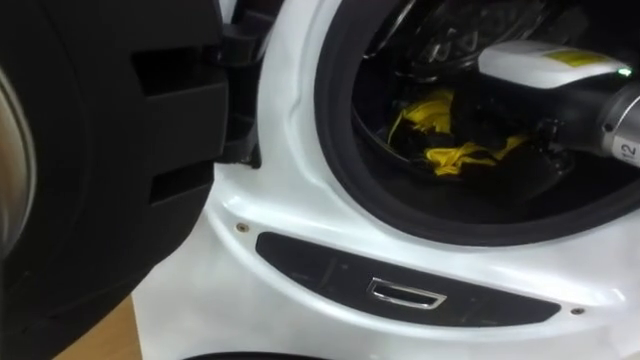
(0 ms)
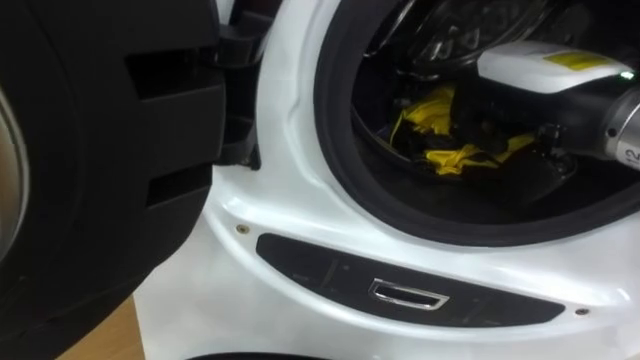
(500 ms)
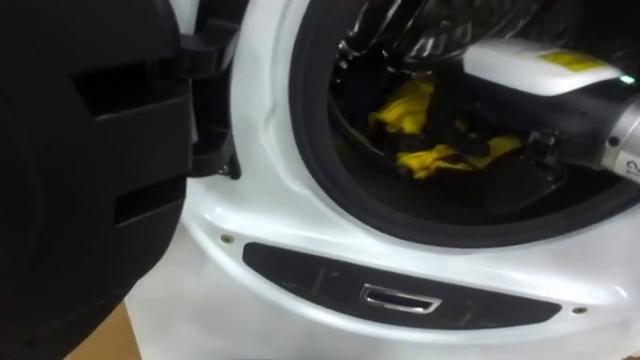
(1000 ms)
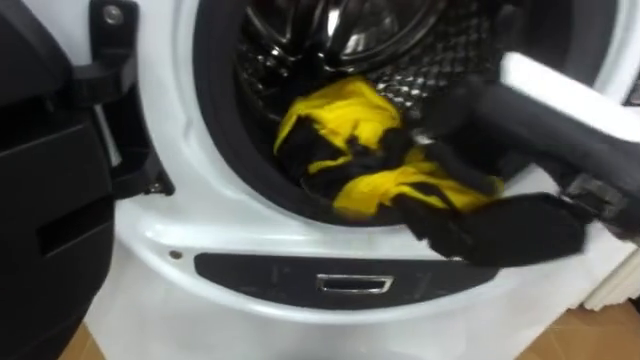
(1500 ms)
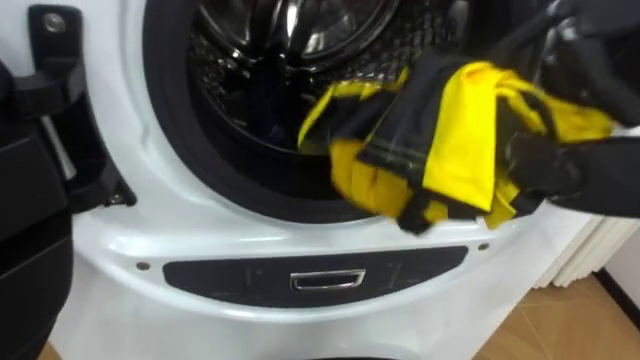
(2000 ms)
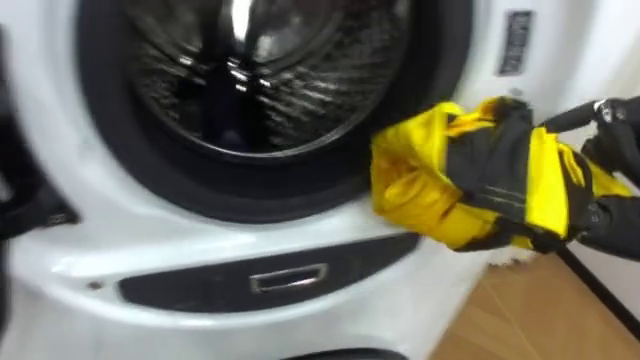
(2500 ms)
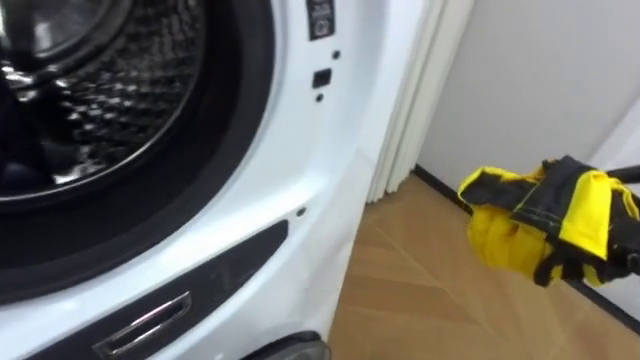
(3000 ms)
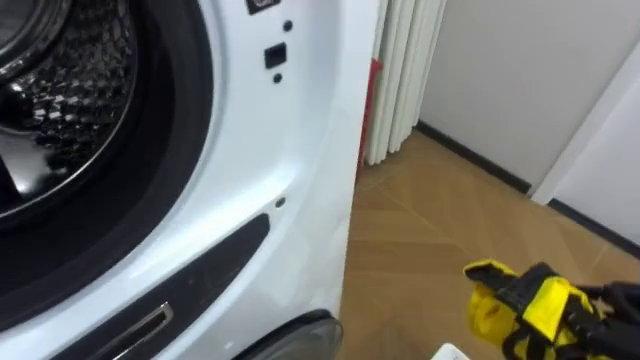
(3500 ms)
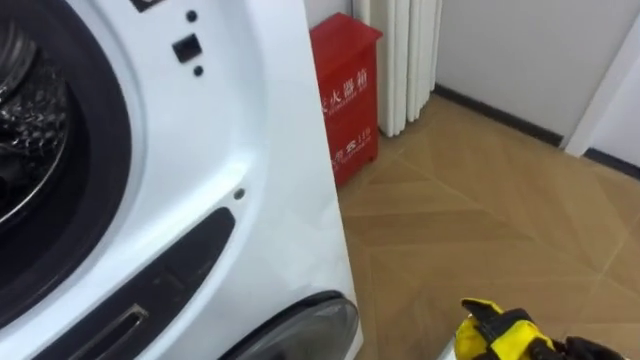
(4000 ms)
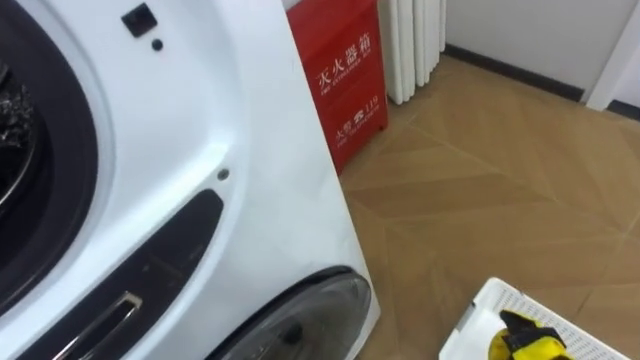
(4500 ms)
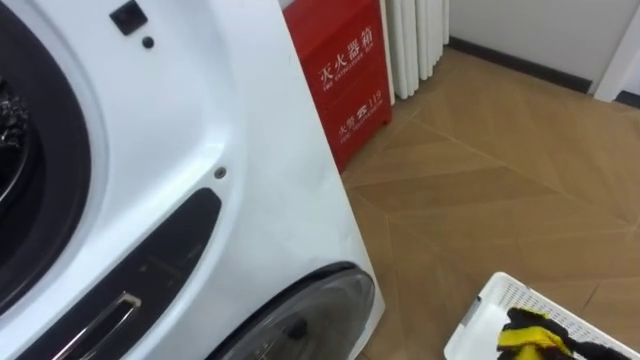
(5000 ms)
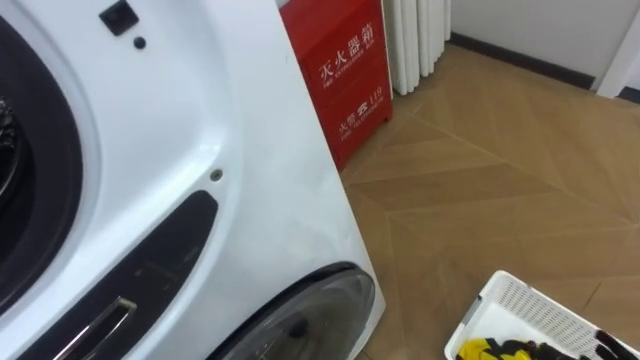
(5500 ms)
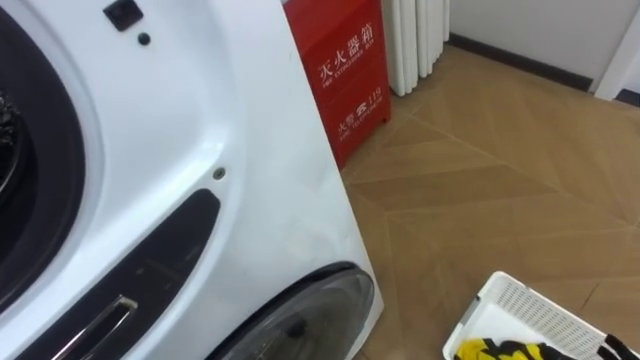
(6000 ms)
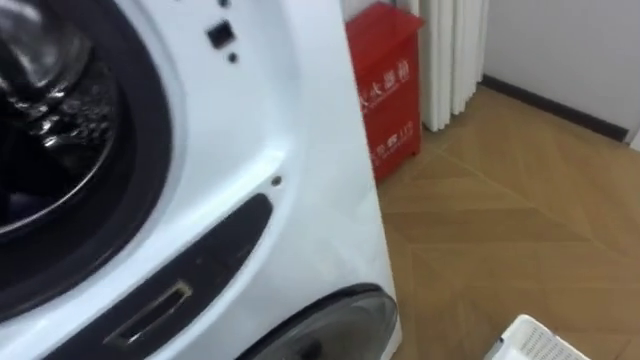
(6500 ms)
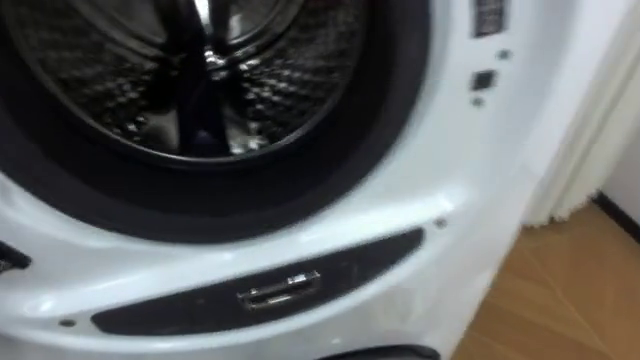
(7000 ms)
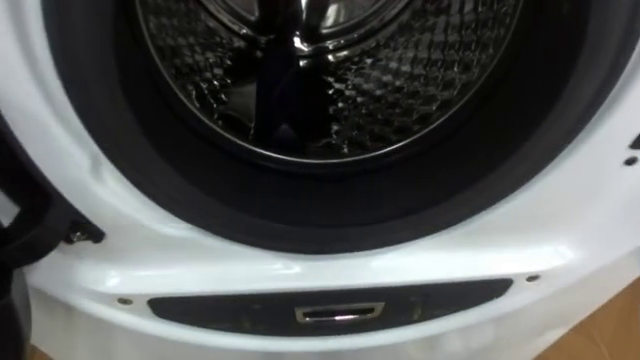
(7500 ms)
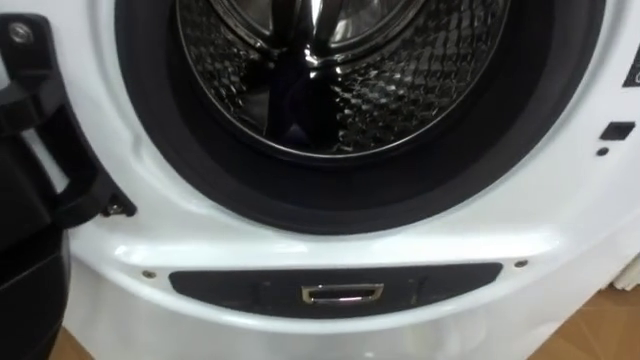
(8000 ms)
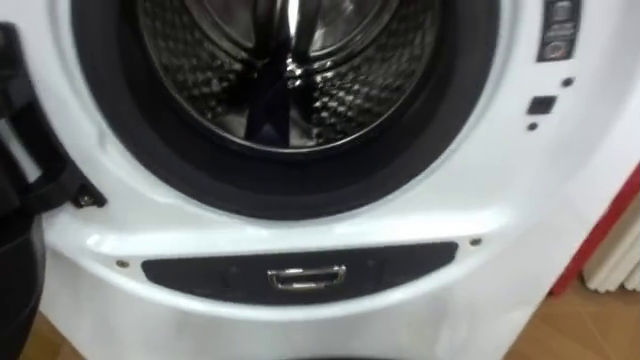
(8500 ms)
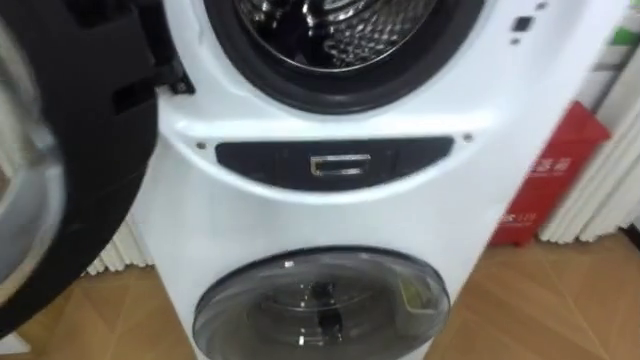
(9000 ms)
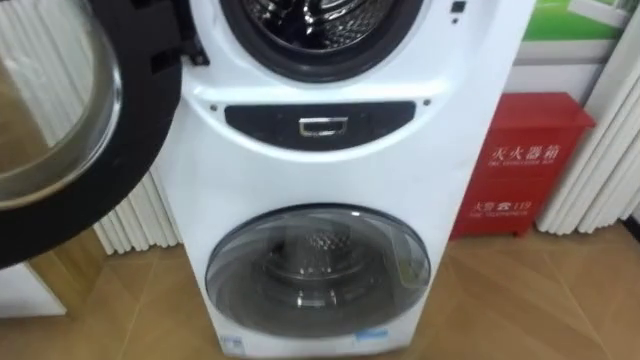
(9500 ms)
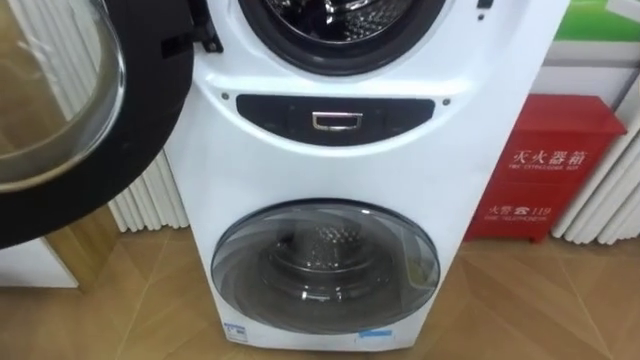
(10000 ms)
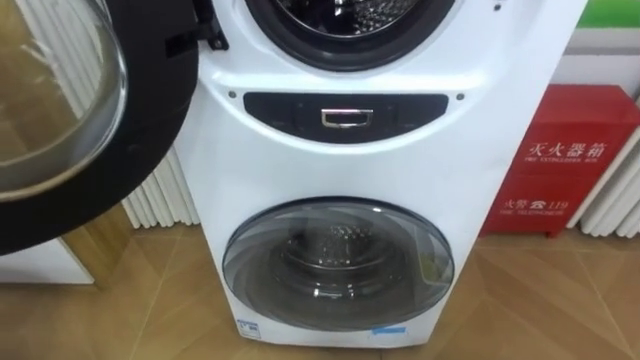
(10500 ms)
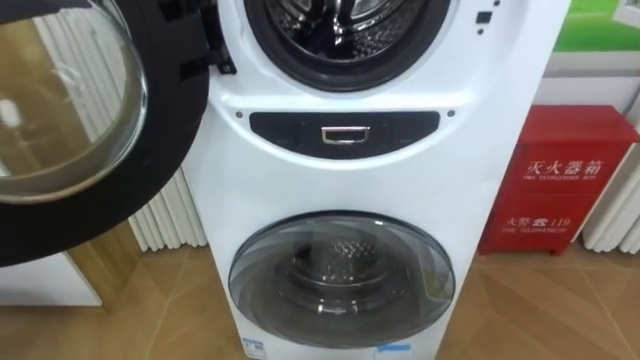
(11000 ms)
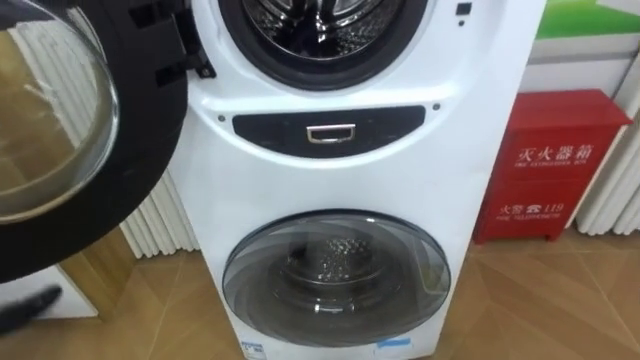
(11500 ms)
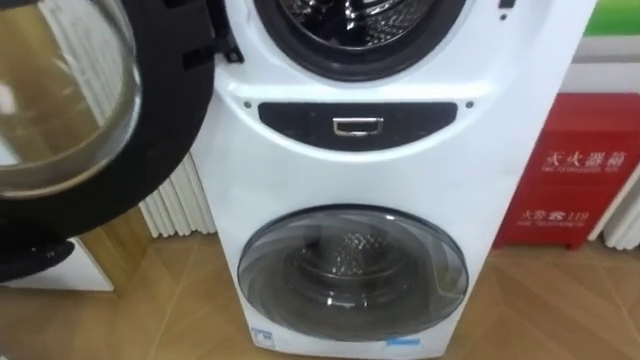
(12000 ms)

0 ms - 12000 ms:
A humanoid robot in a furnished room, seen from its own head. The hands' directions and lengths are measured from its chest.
Task of the whole recording: Open the washing machine door, take out the yellow clothes, place them in the box on the right, and close the washing machine door.
2000 ms - 4000 ms: The robot's body swings roughly 25 degrees to its right.

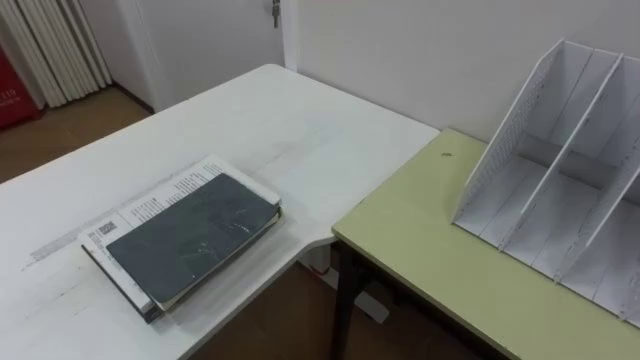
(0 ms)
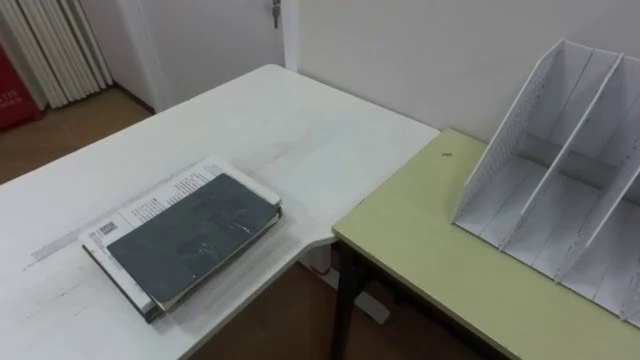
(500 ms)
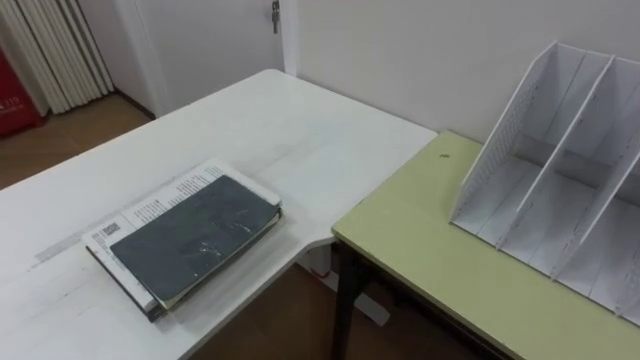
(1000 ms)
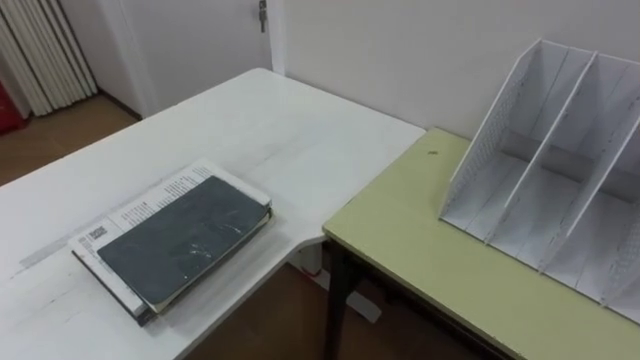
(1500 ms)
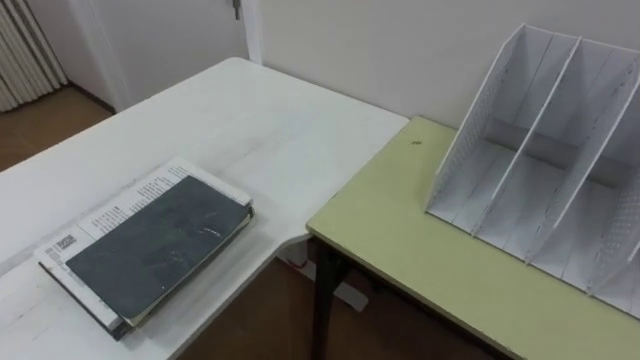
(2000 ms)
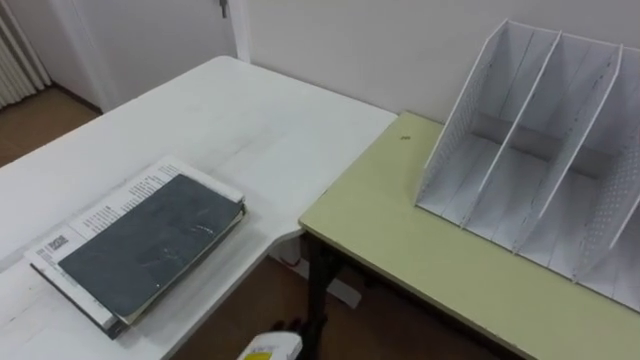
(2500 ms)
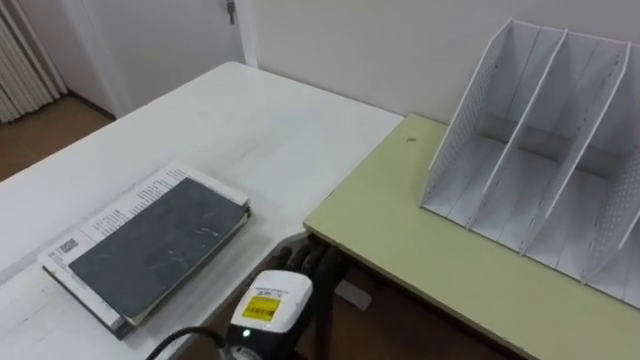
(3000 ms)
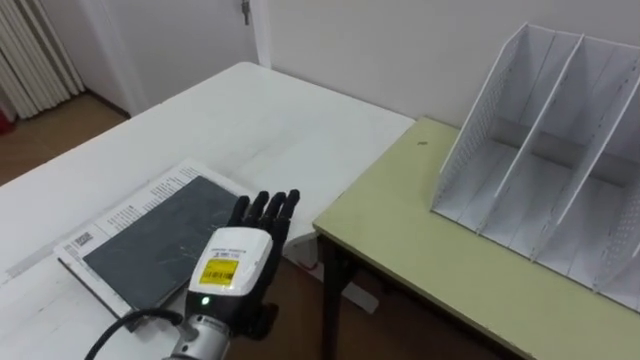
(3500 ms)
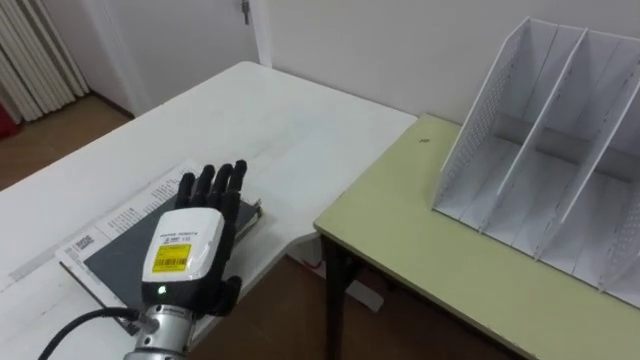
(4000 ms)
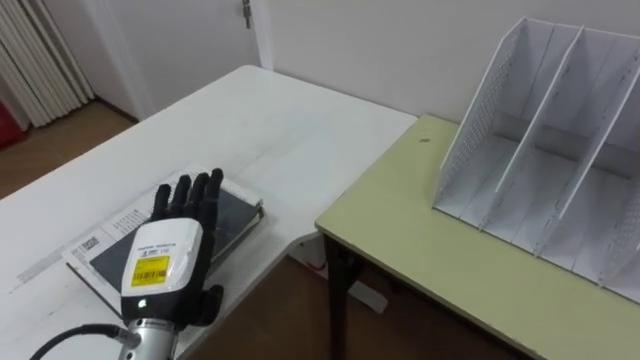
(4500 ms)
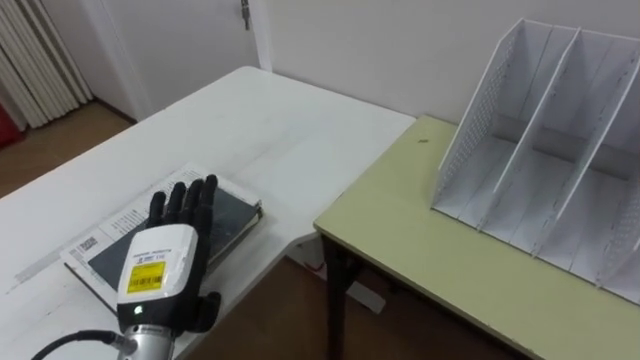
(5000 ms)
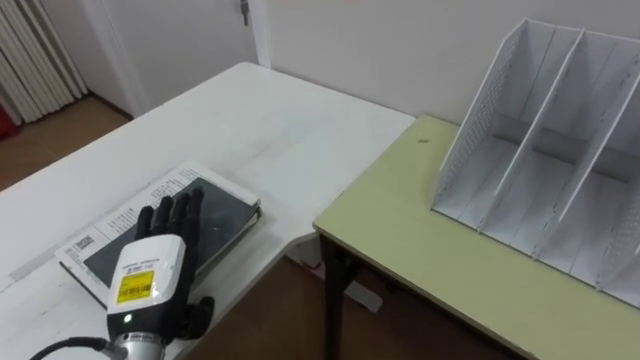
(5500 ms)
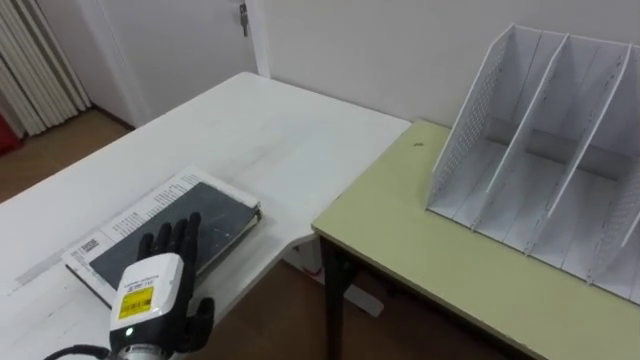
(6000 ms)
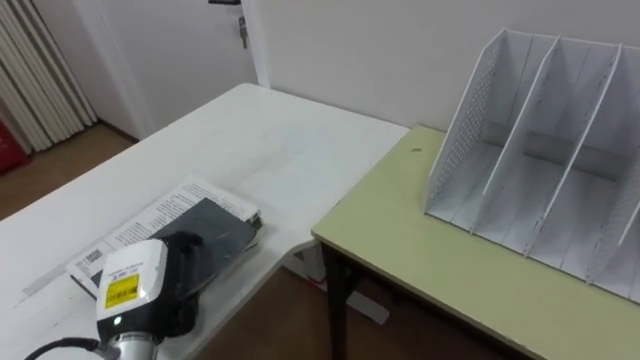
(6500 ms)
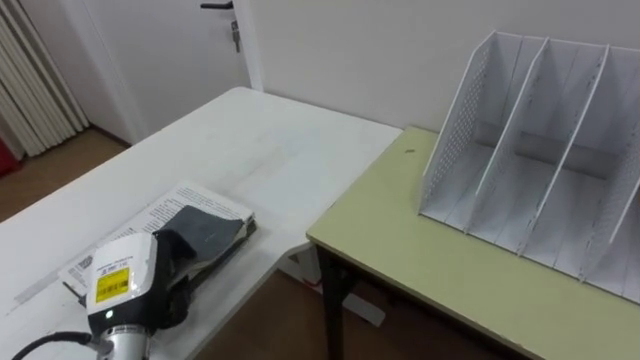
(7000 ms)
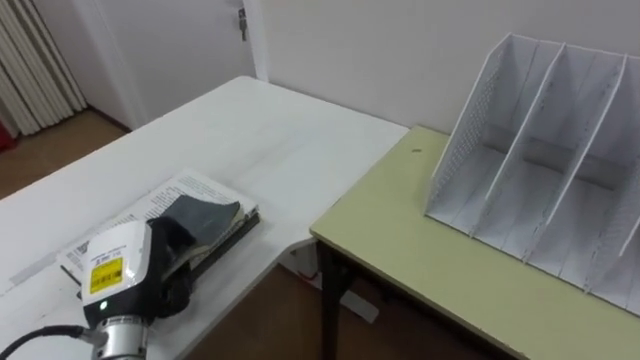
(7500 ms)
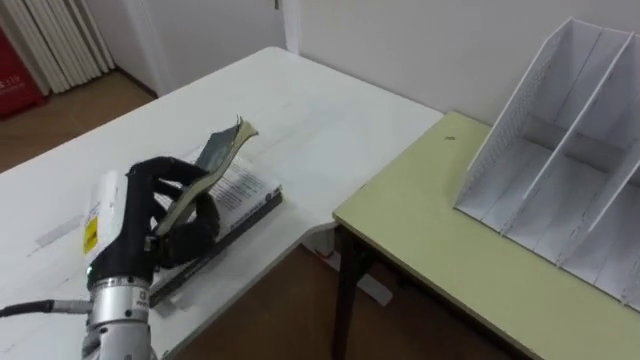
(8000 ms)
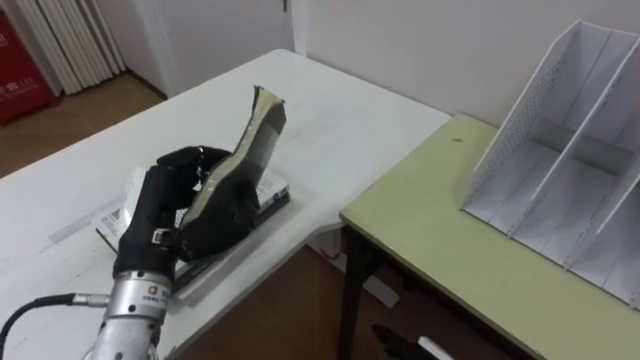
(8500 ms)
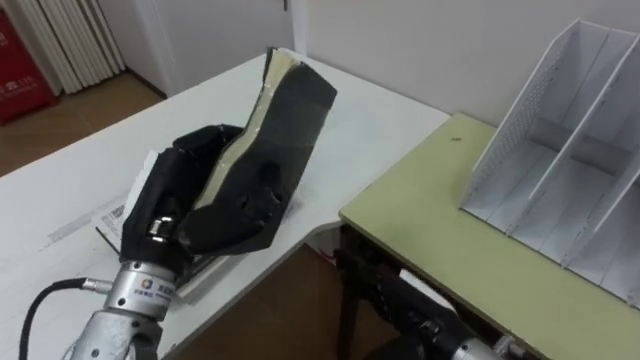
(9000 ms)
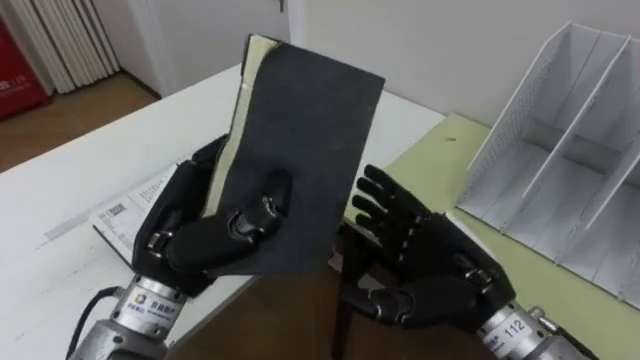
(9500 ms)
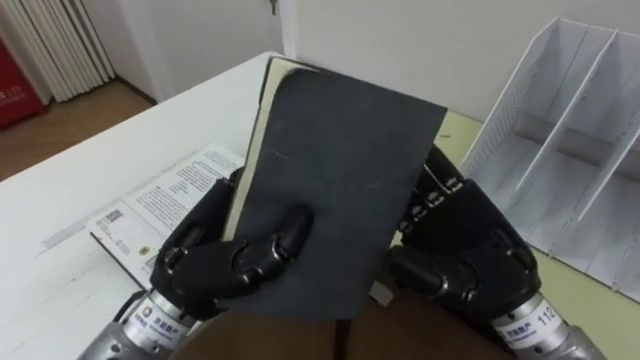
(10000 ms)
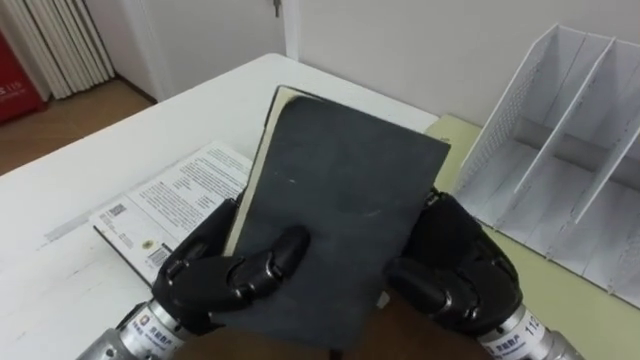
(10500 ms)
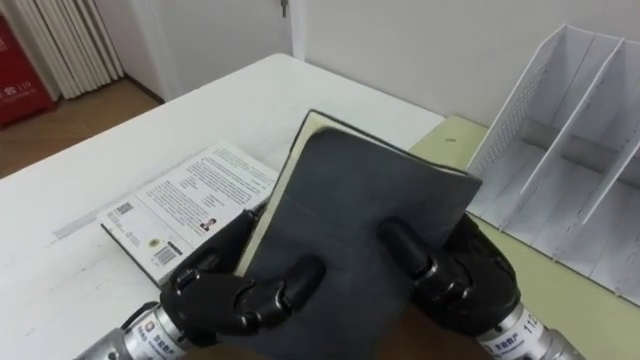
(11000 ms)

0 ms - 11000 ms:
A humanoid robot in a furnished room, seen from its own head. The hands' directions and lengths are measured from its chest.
Task of the whole recording: Put the books on the table onto the bookshelf.
3500 ms - 5500 ms: The left hand shifts roughly 10 cm to the left.
5500 ms - 7500 ms: The left hand closes its fingers.
7500 ms - 9000 ms: The left hand is displaced upward and to the right by roughly 15 cm.
9000 ms - 11000 ms: The left hand travels to the right by some 5 cm. The right hand is displaced upward by about 15 cm, and closes.
